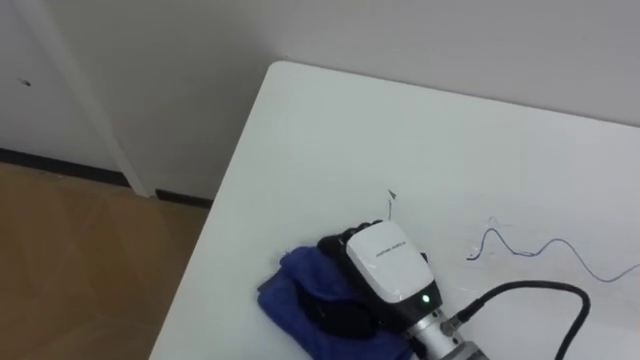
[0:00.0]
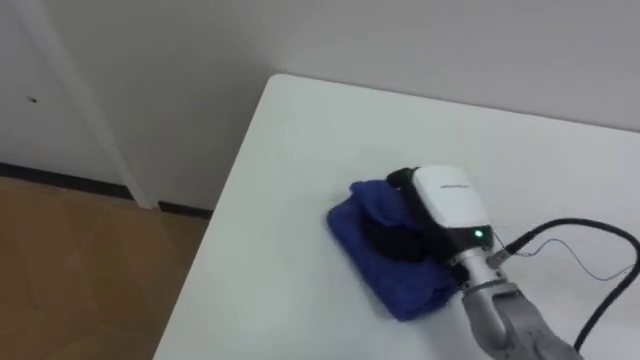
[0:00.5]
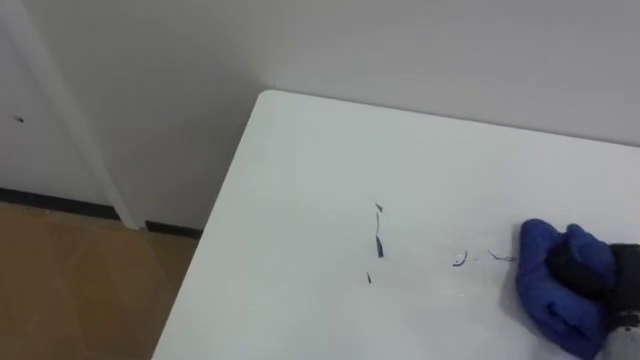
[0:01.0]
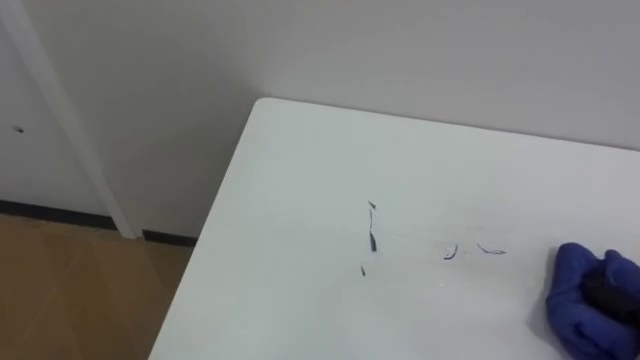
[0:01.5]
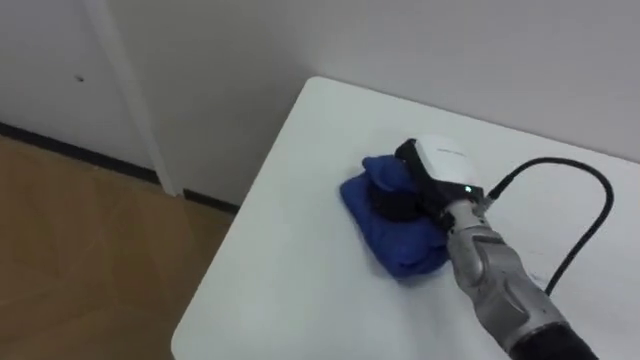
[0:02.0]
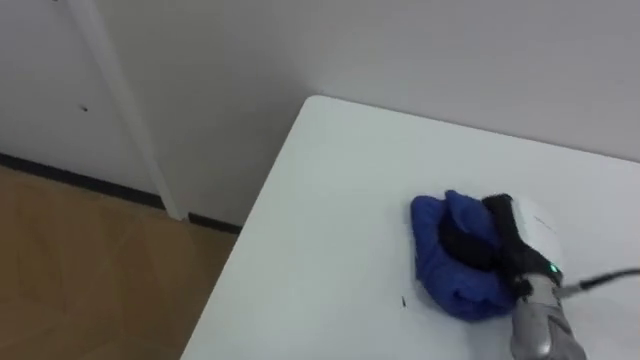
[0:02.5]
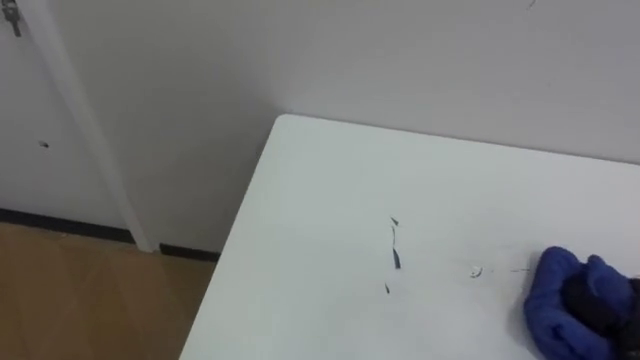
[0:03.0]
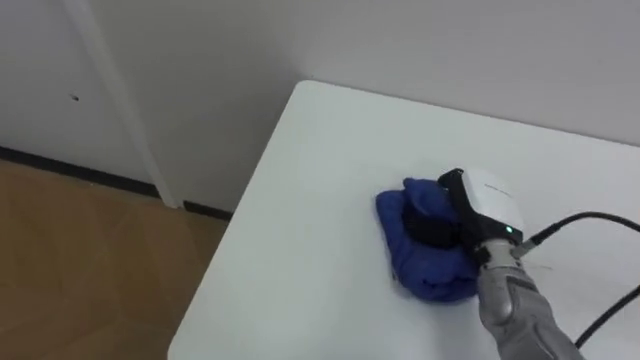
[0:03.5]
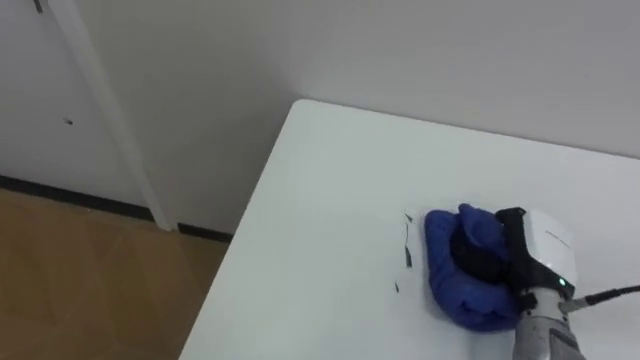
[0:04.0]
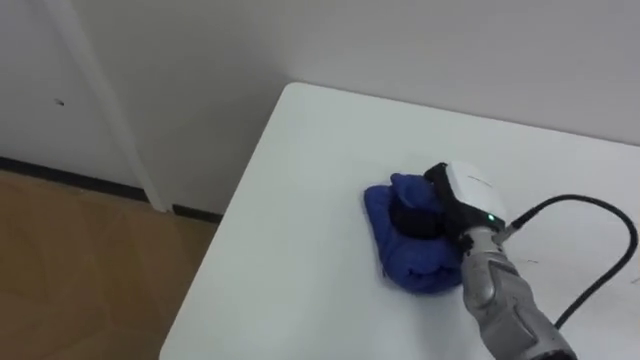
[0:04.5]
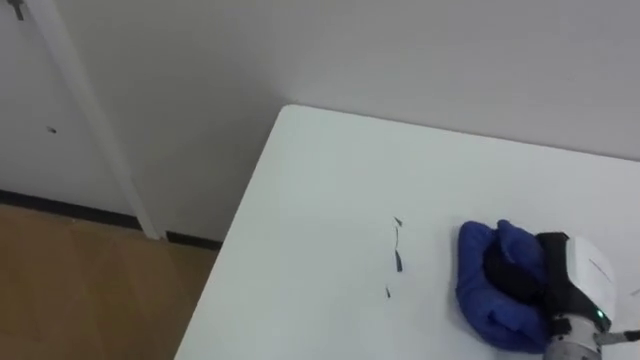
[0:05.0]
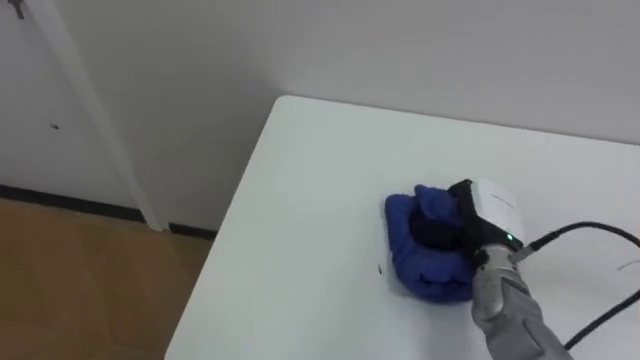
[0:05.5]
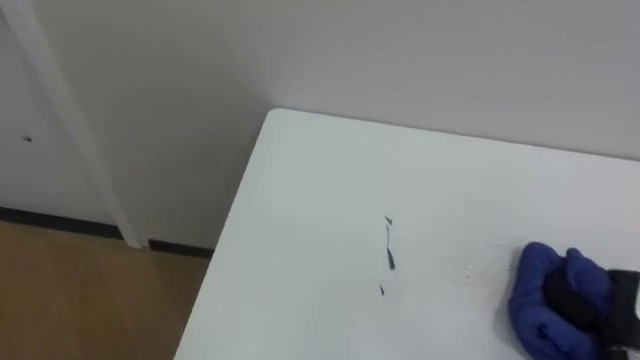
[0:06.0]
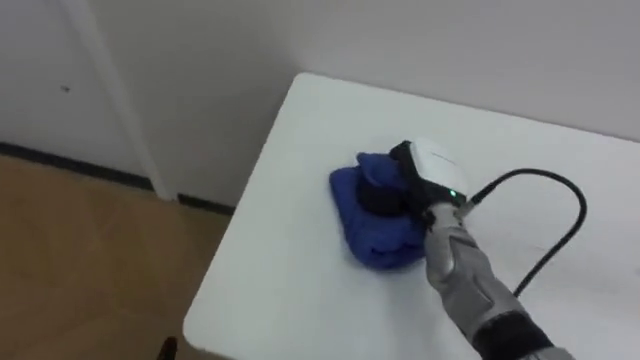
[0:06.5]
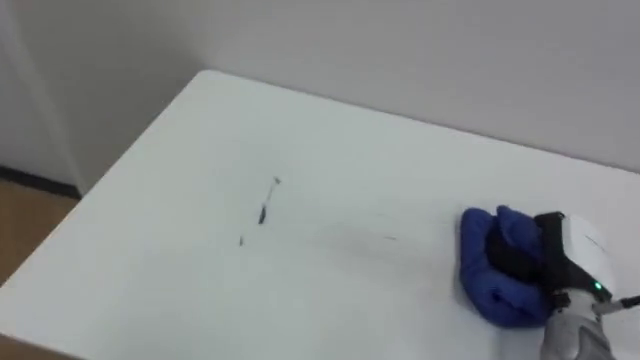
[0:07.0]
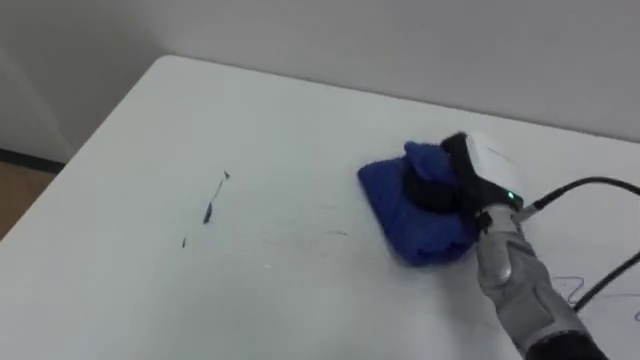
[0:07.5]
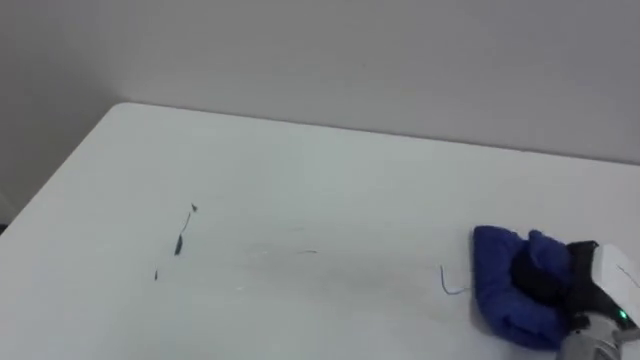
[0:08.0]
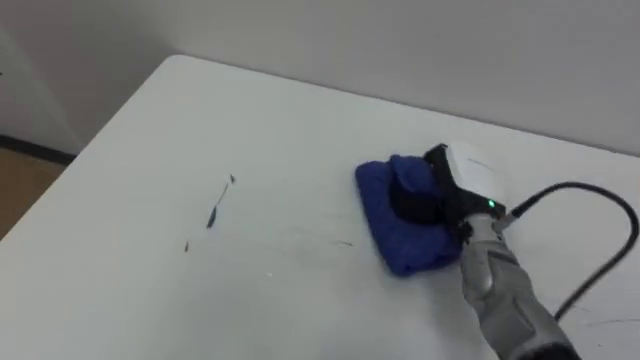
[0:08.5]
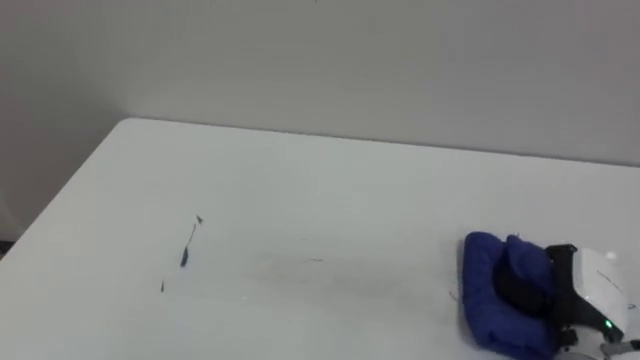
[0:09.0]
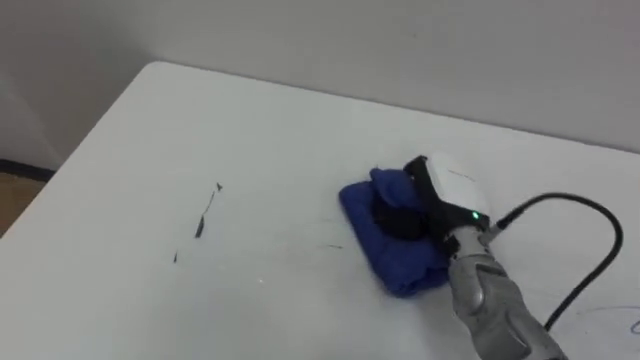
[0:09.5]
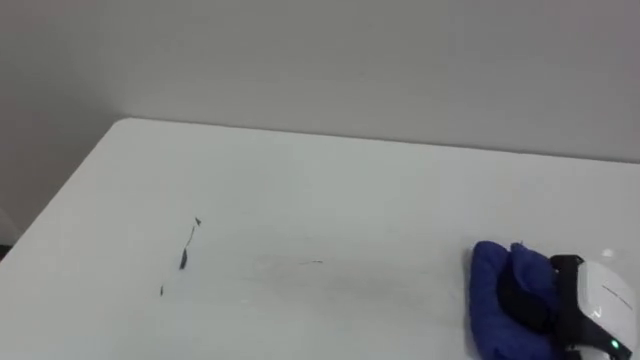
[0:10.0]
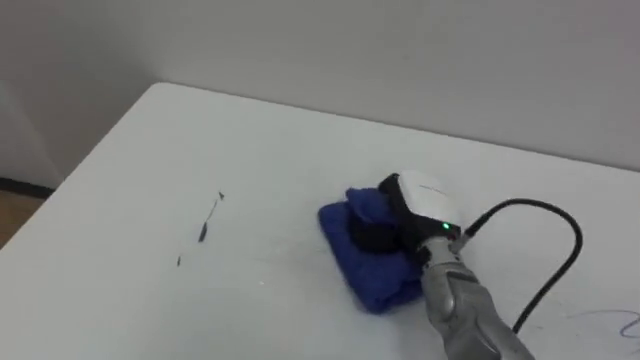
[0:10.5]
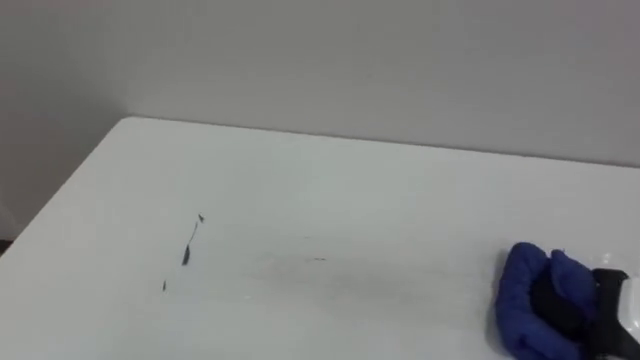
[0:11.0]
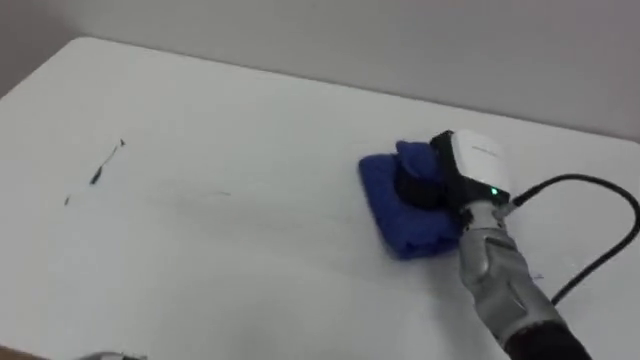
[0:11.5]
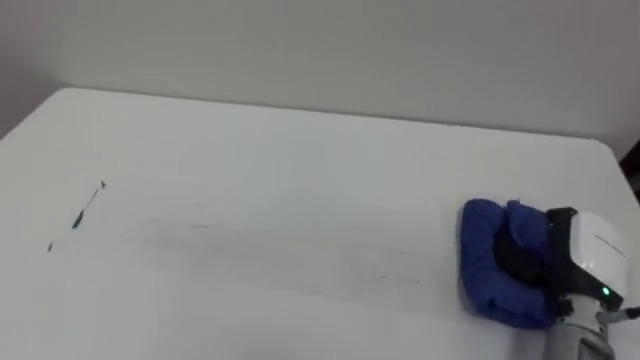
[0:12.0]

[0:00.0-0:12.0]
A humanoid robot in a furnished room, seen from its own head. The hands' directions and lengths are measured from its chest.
Task of the whole recording: Wipe the blue pen marks off the table with the rag.
0:04.0 to 0:06.0: The right hand moves left and right over roughly 20 cm, changing direction 3 times.
0:06.0 to 0:08.0: The right hand moves left and right over approximately 25 cm, changing direction 3 times.
0:08.0 to 0:10.0: The right hand swings left and right, about 20 cm each way, with 3 reversals.
0:10.0 to 0:12.0: The right hand goes left and right, approximately 20 cm each way, reversing 3 times.

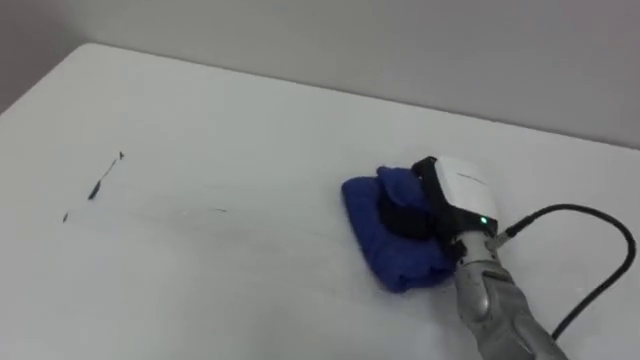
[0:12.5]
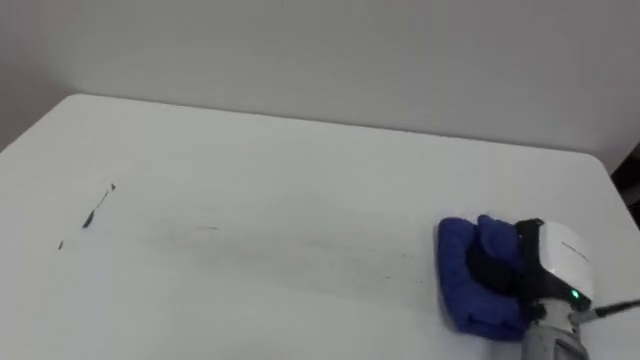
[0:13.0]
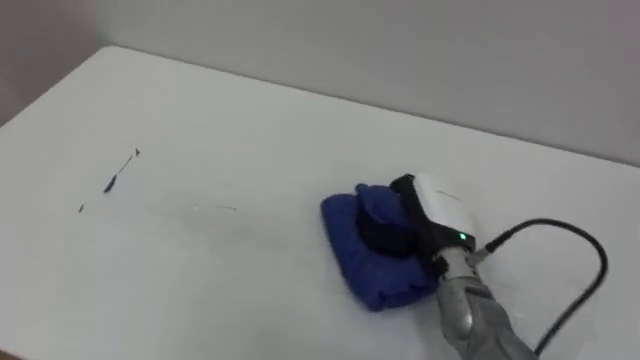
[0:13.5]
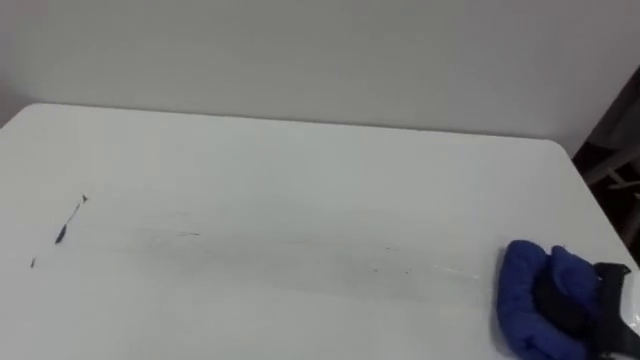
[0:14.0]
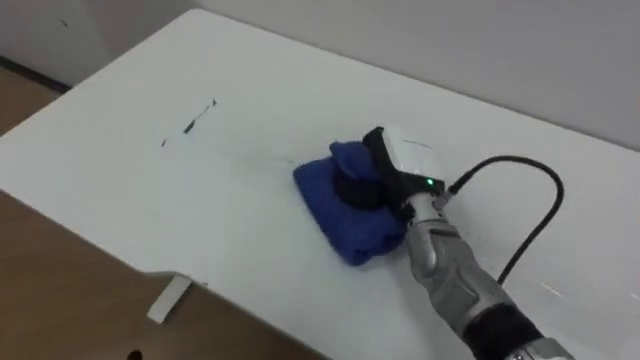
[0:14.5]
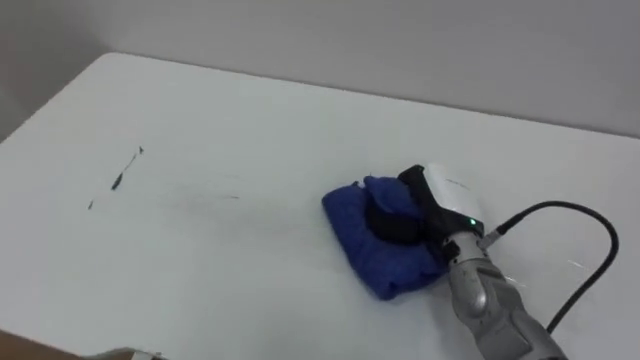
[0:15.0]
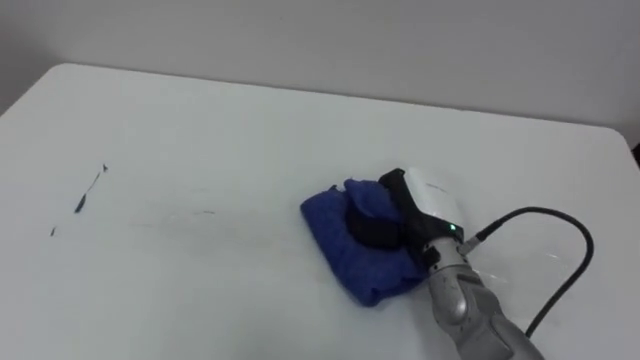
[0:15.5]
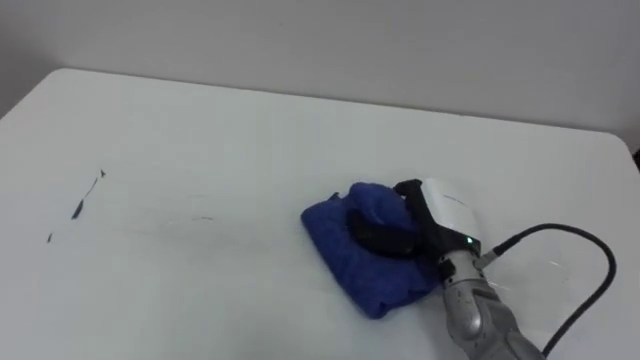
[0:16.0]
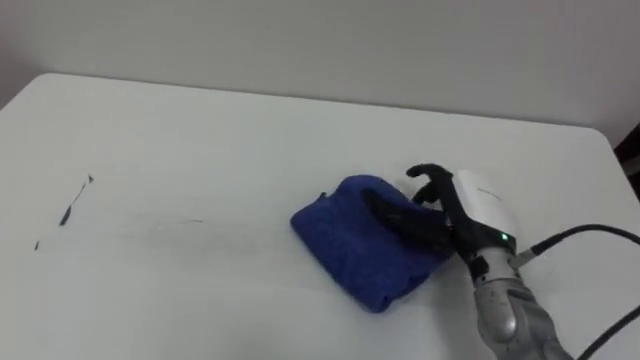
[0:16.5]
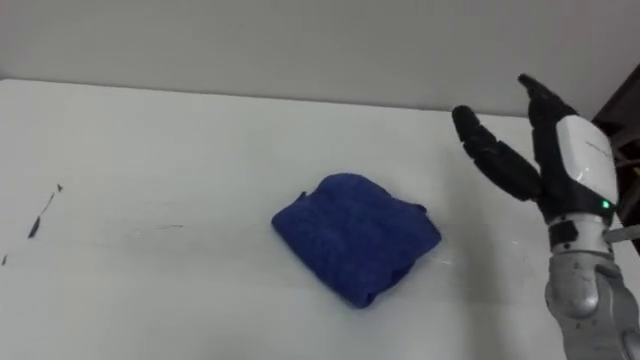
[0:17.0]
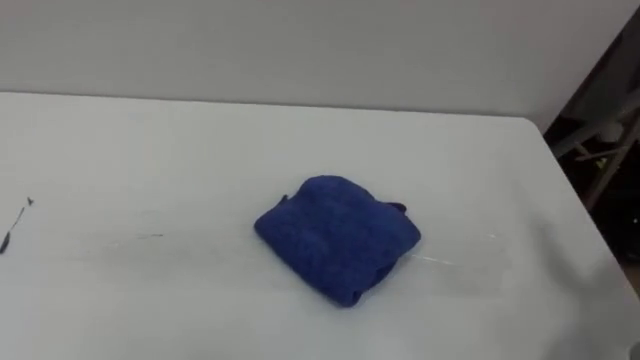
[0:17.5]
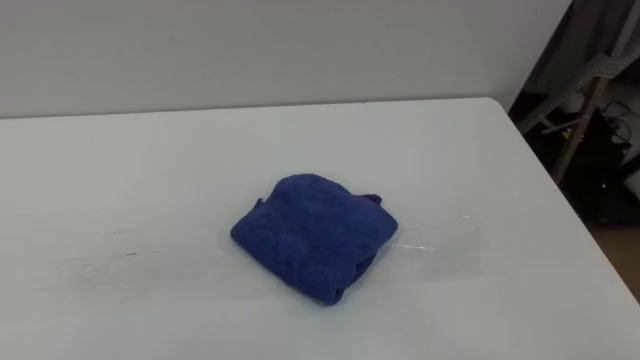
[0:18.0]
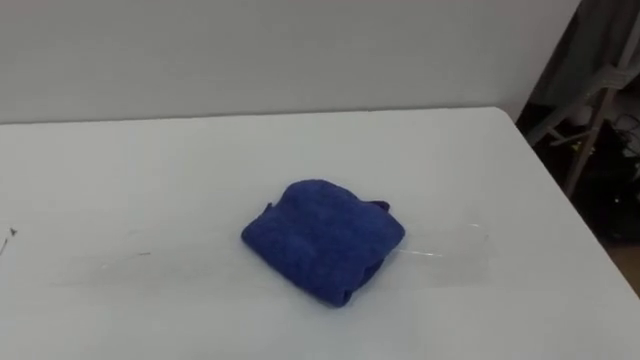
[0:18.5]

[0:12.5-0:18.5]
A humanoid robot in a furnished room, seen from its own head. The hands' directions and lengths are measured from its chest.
Task of the whole recording: Wipe the blue pen marks off the table with the rag.
0:12.5 to 0:14.5: The right hand swings left and right, some 25 cm each way, with 3 reversals.
0:14.5 to 0:16.5: The right hand shifts about 10 cm to the right and backward, and opens up.
